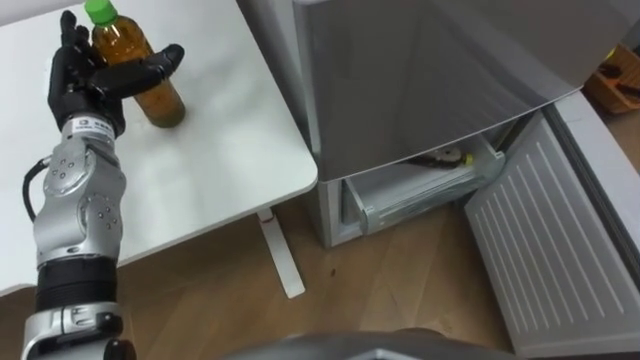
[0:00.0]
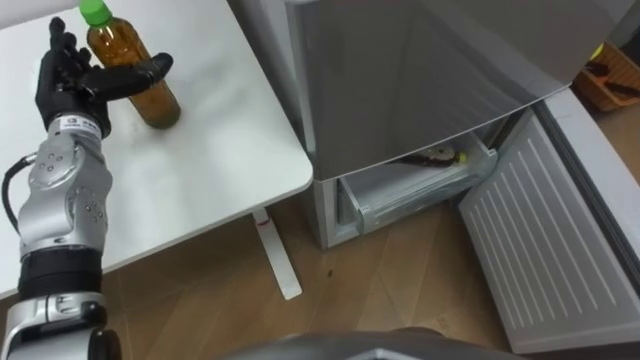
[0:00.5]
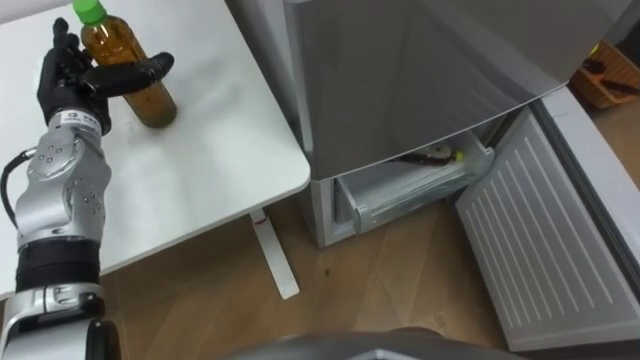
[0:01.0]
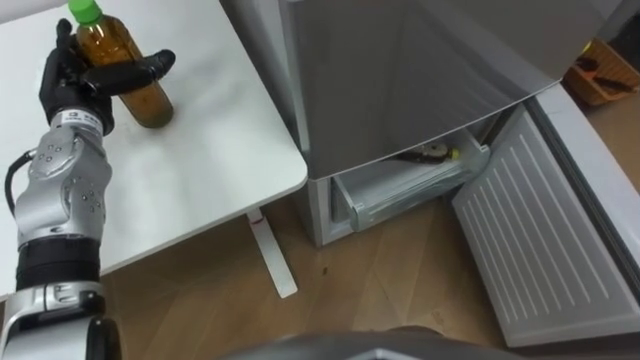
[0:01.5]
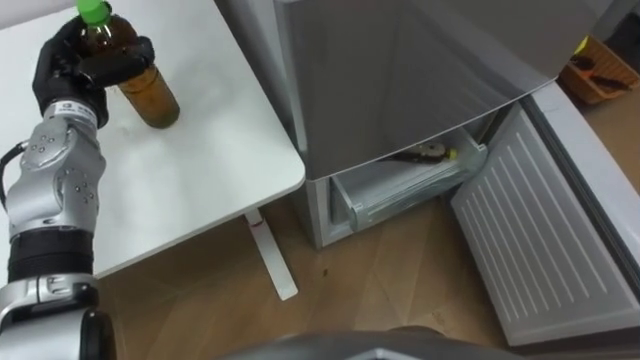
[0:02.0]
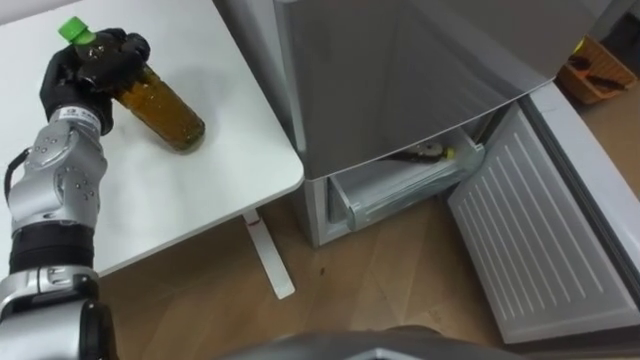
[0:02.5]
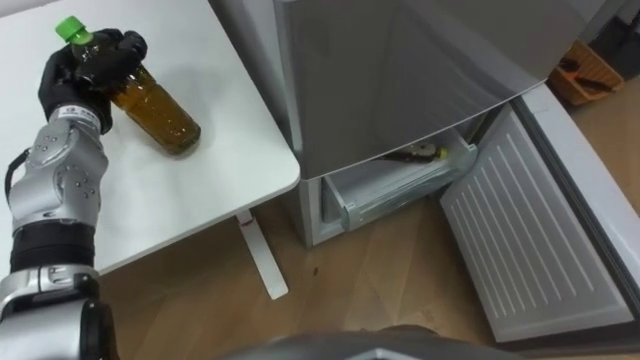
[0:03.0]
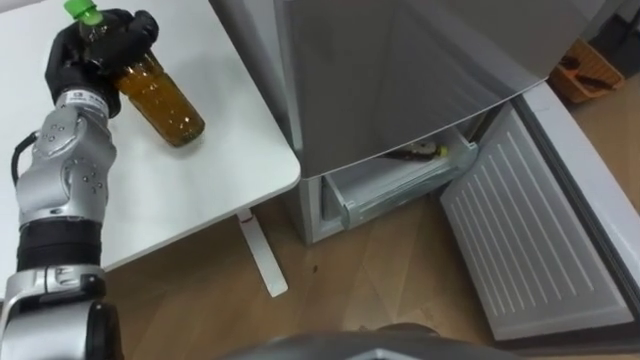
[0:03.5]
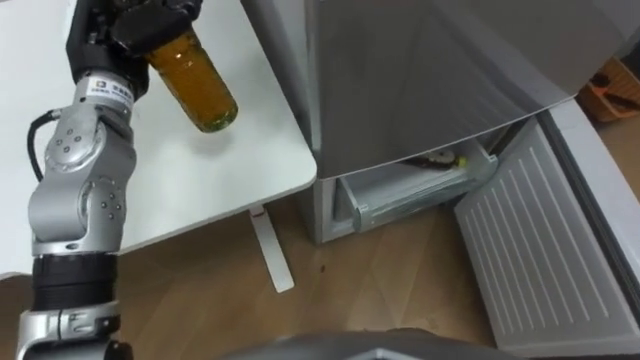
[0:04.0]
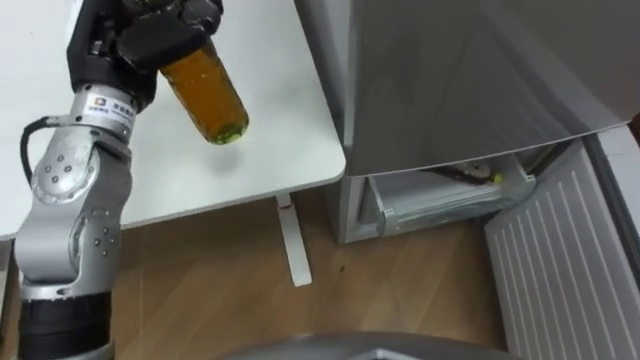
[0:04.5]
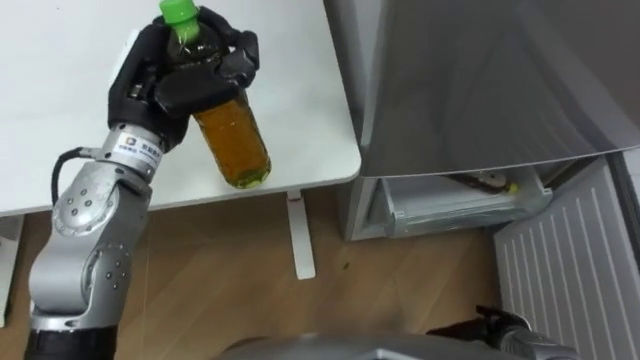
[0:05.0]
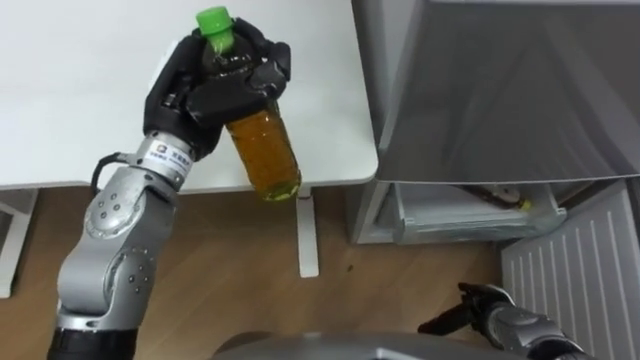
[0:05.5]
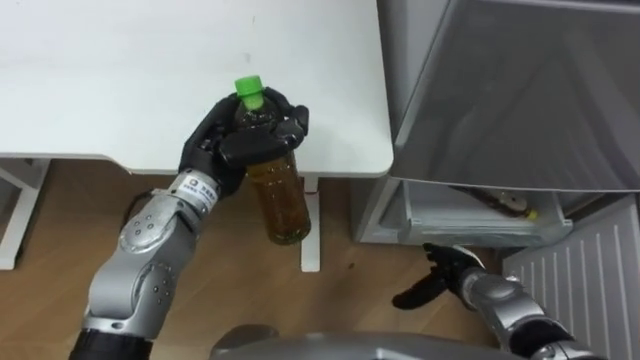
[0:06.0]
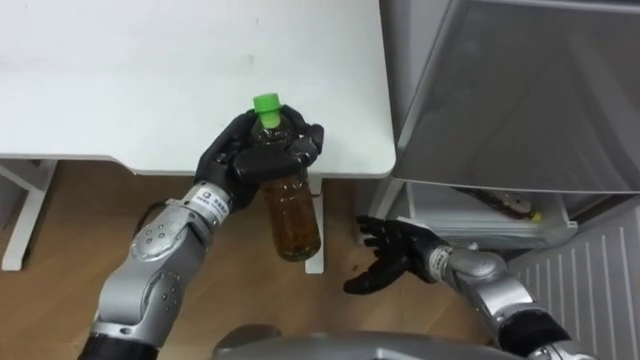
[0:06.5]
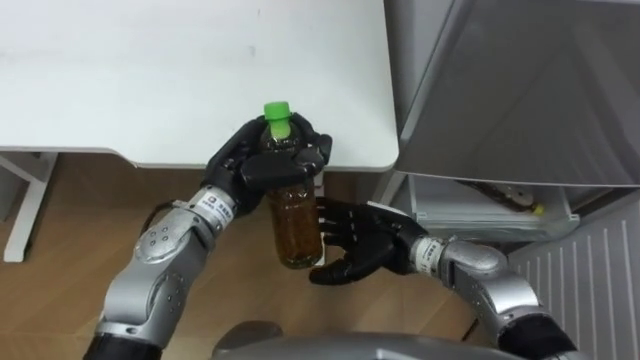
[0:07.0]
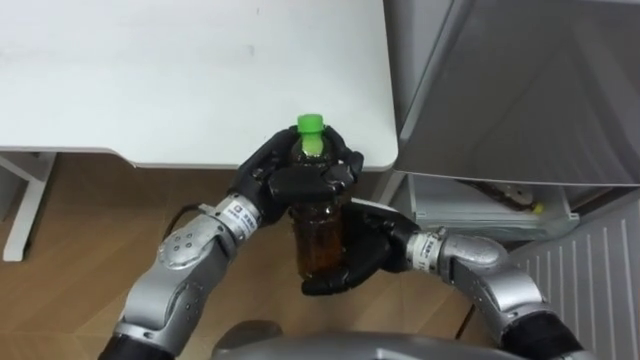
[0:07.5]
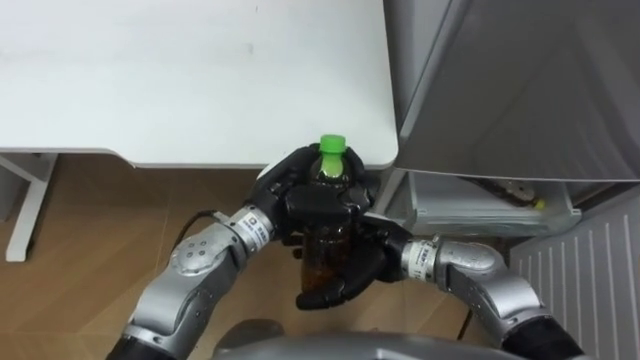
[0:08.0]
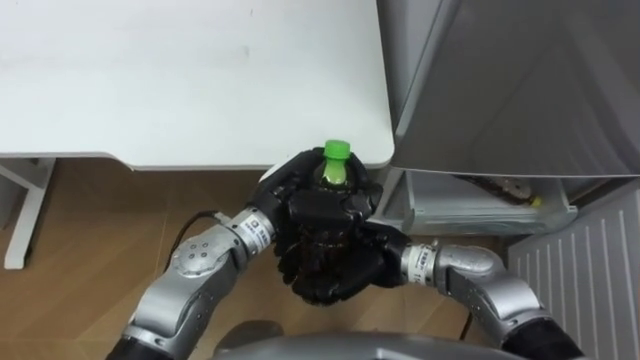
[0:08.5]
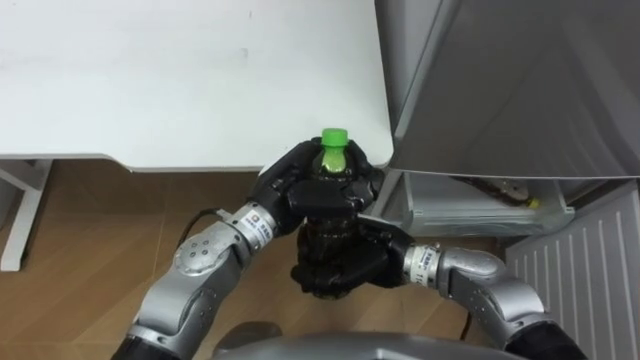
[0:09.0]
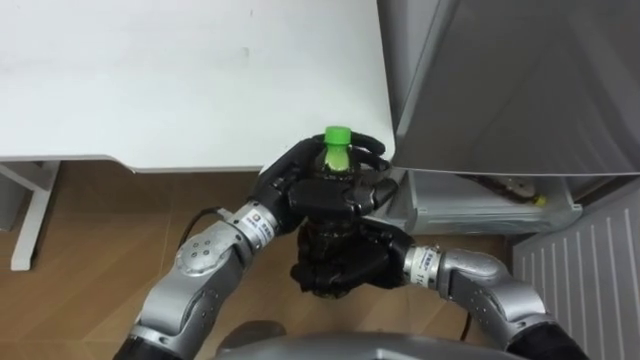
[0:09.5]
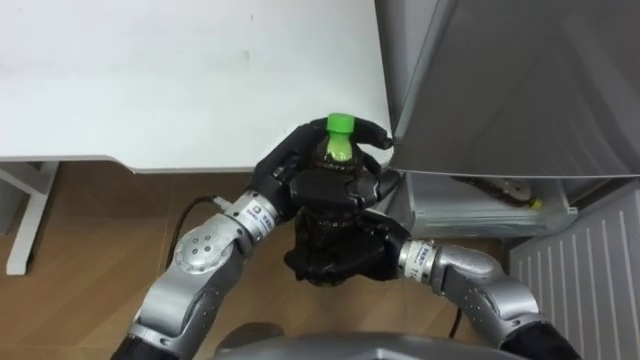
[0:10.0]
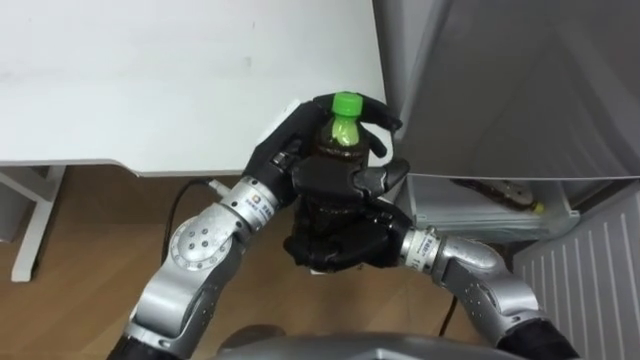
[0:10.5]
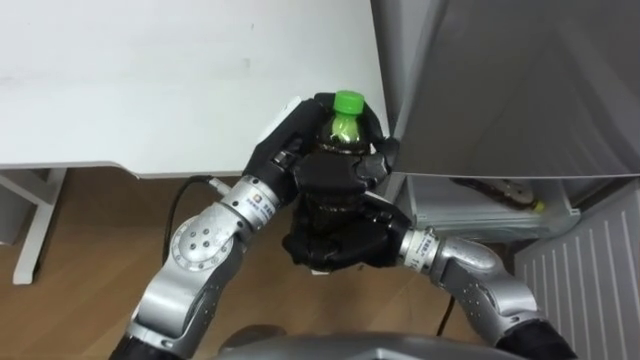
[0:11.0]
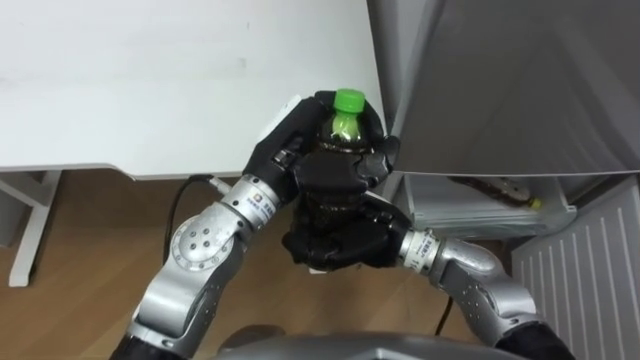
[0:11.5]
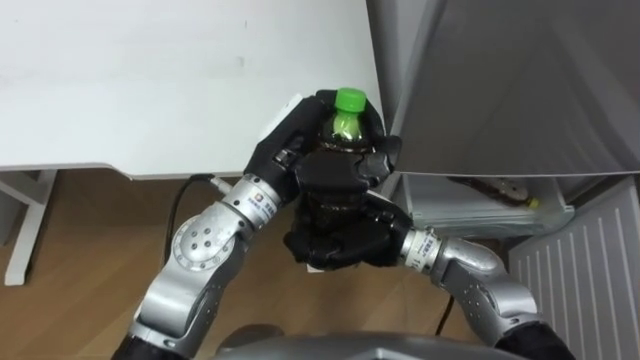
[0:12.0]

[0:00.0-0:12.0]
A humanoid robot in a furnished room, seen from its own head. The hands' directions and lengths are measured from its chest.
Task of the whole recording: Place the drink on the table on the bottom shelf of the refrigerator, then close the drawer and the refrigerator door.
0:00.0 to 0:02.0: The left hand closes.
0:02.0 to 0:04.0: The left hand goes roughly 10 cm to the right and upward, and closes up.
0:04.0 to 0:06.0: The left hand shifts some 15 cm to the right, downward and backward.
0:06.0 to 0:08.0: The right hand goes some 20 cm to the left and upward, while the left hand is displaced to the right by about 10 cm.
0:08.0 to 0:10.0: The right hand closes its fingers.
0:10.0 to 0:12.0: The hands stay close to where they were, moving slightly.

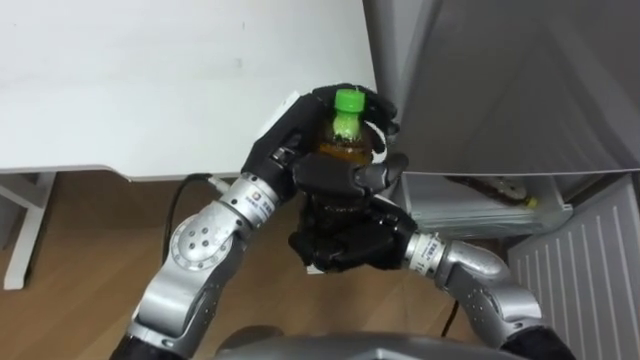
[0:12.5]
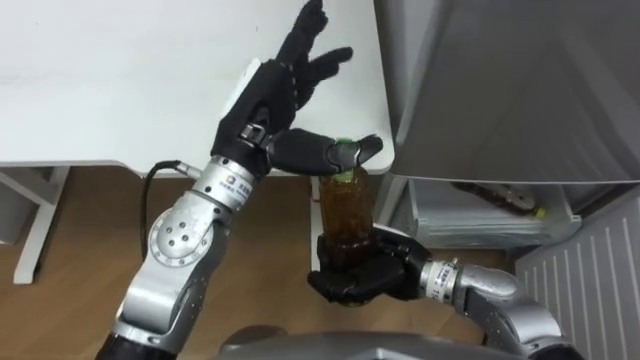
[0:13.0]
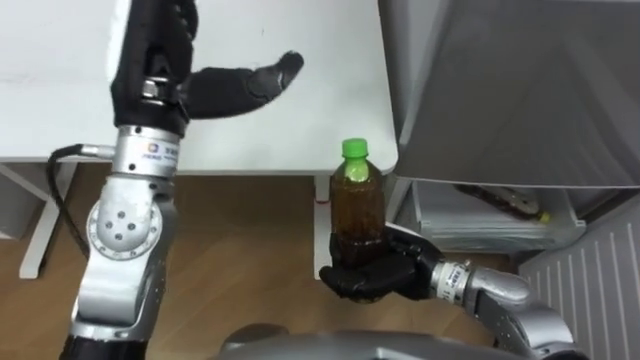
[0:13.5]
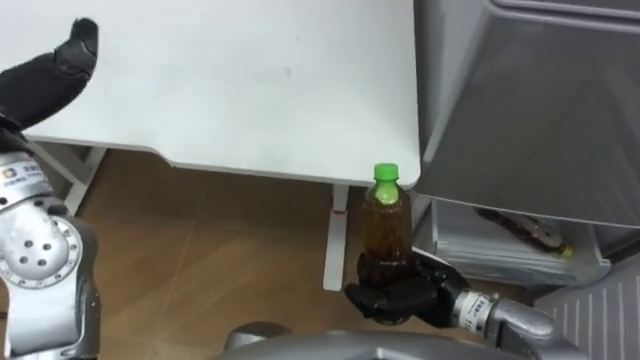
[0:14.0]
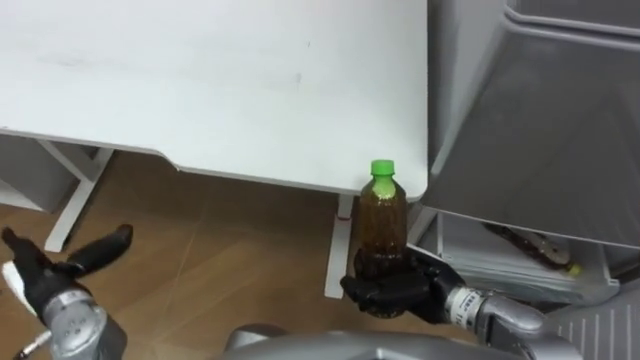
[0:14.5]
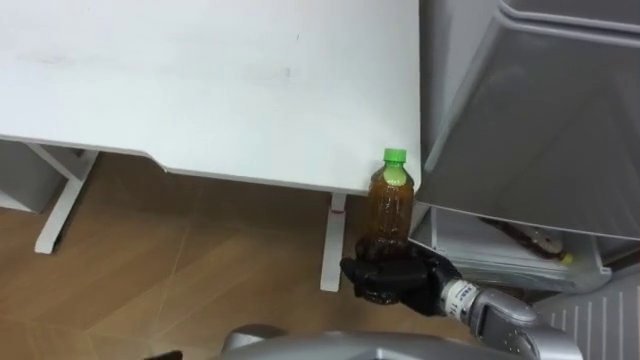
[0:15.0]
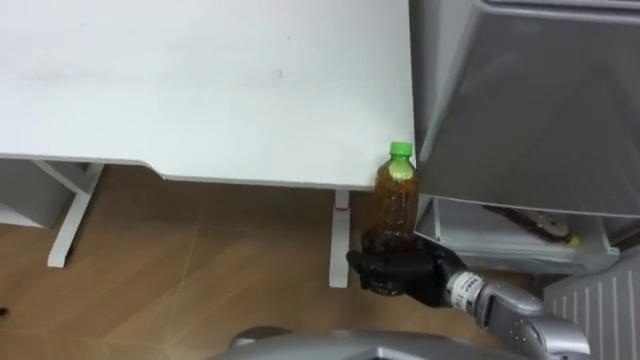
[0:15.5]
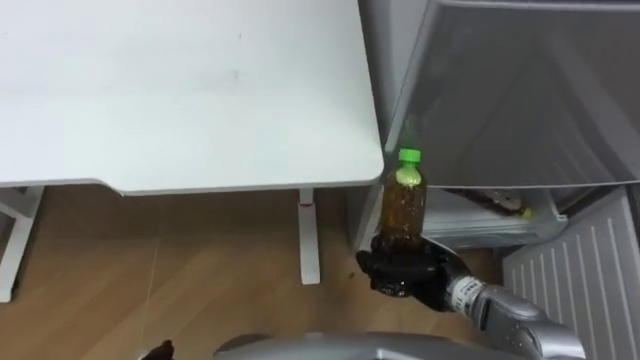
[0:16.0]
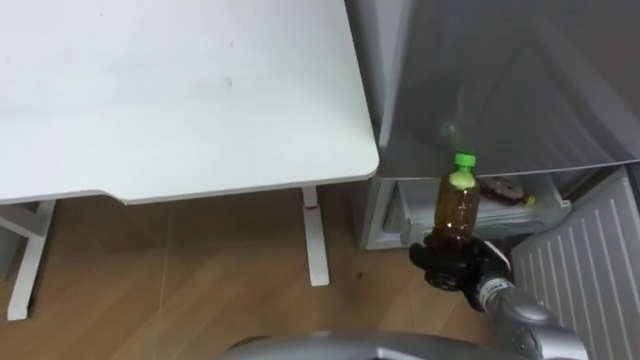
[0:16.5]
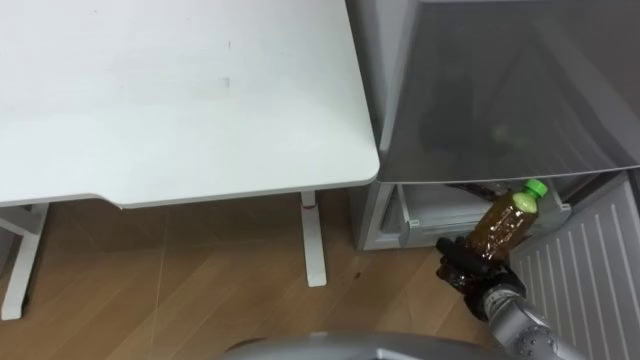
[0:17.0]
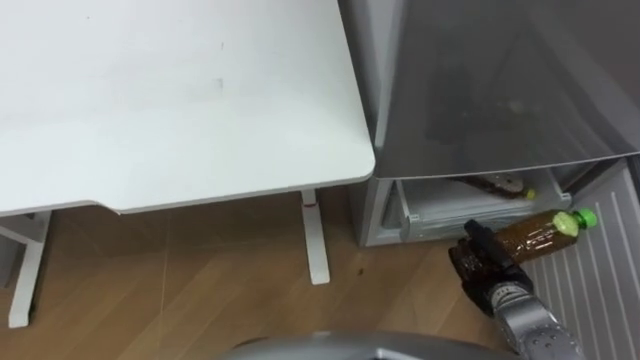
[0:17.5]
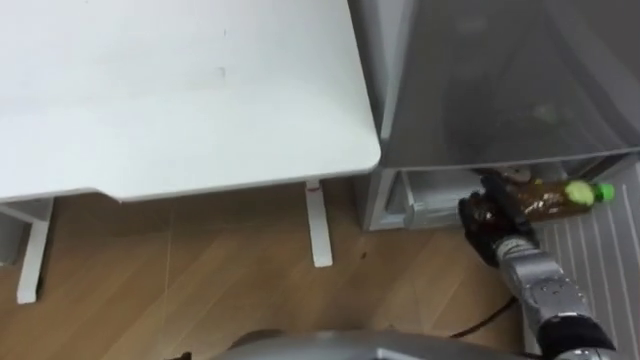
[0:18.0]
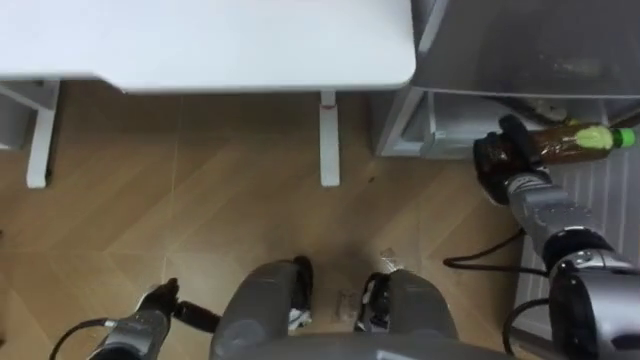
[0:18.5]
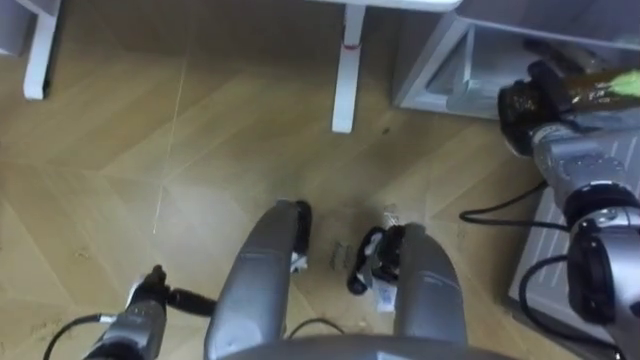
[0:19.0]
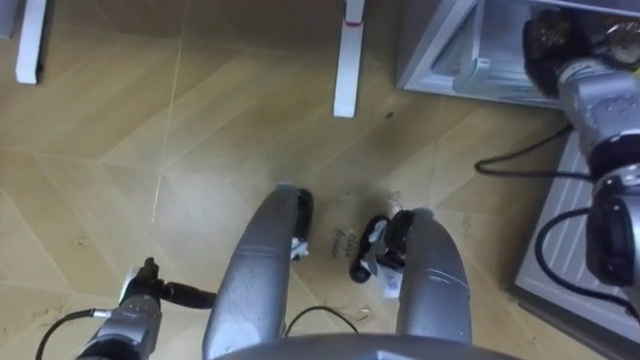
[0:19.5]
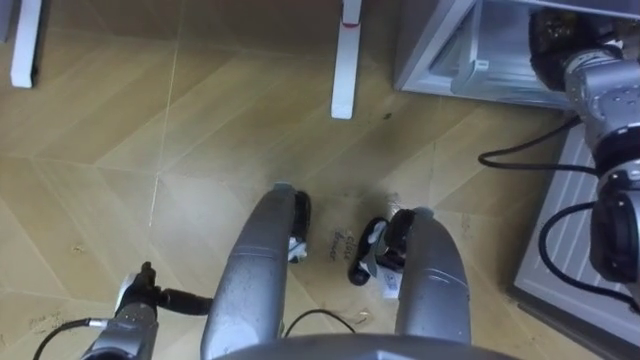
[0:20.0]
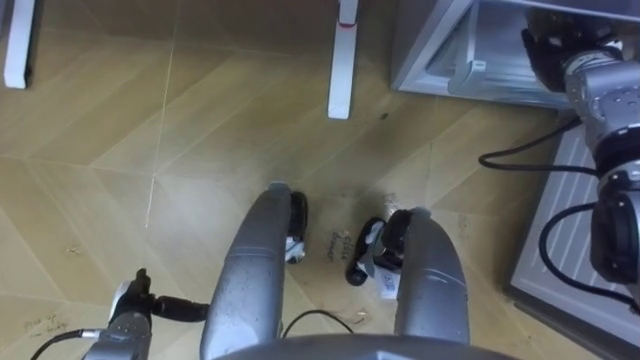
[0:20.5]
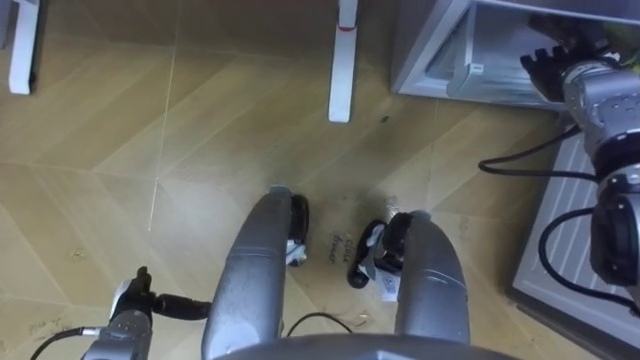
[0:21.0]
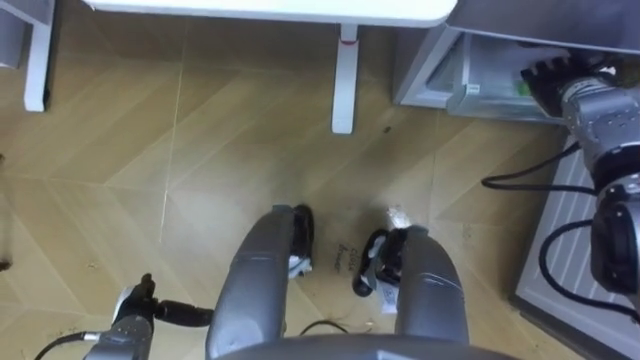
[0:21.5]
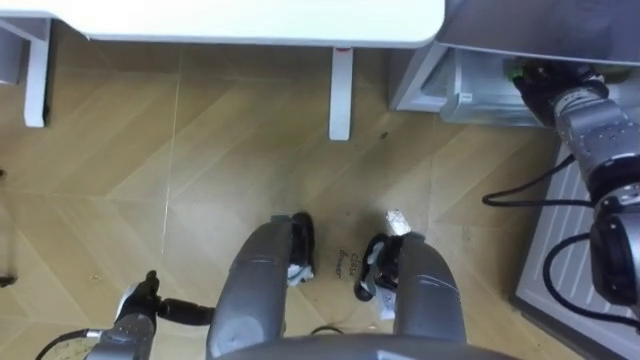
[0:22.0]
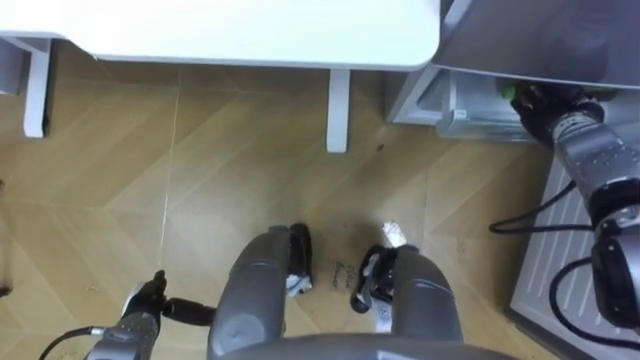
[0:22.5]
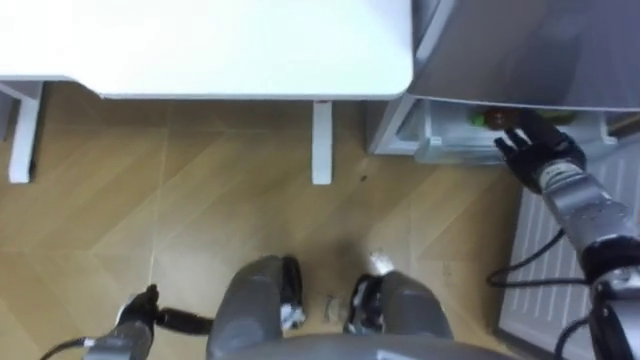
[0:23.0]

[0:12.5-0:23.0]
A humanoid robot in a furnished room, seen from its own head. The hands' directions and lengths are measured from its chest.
Task of the whole recording: Place the drink on the table on the bottom shelf of the refrigerator, then close the drawer and the refrigerator door.
0:12.5 to 0:14.5: The right hand is displaced downward, to the right and backward by roughly 10 cm.
0:14.5 to 0:16.5: The right hand travels to the right by approximately 10 cm.
0:16.5 to 0:19.0: The right hand moves forward, upward and to the right, approximately 20 cm.
0:19.0 to 0:21.0: The right hand goes about 5 cm upward, and opens up.
0:21.0 to 0:23.0: The right hand travels downward and backward by approximately 10 cm.
